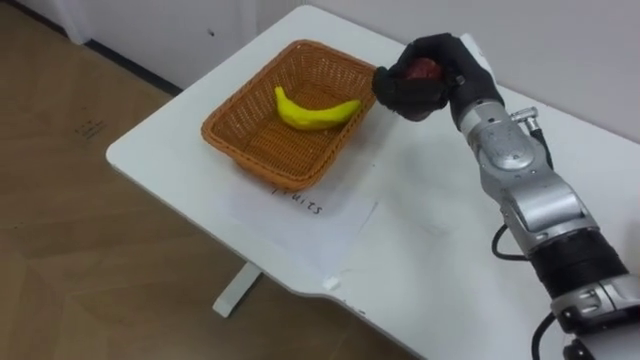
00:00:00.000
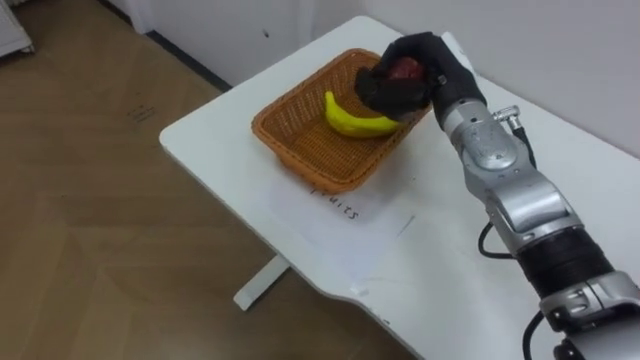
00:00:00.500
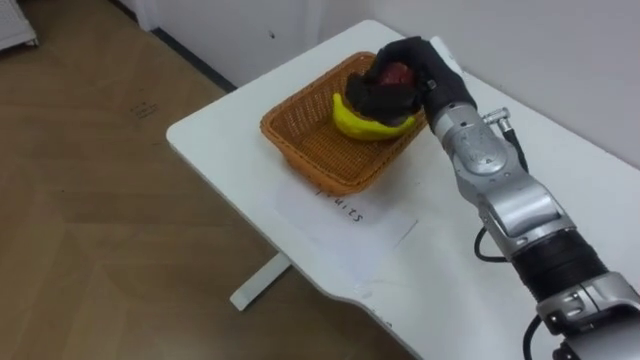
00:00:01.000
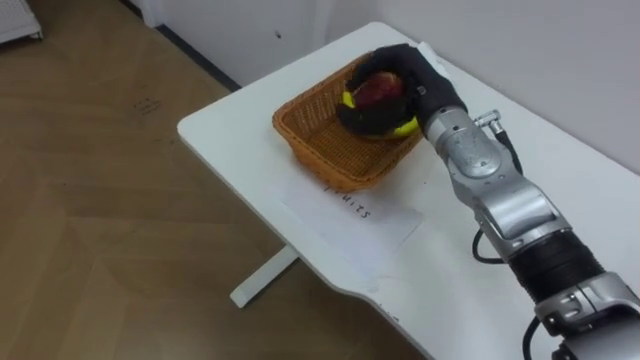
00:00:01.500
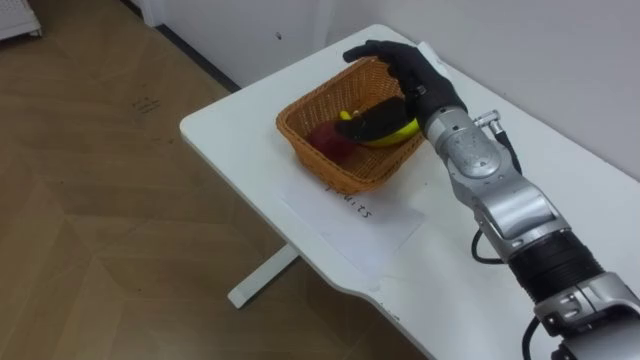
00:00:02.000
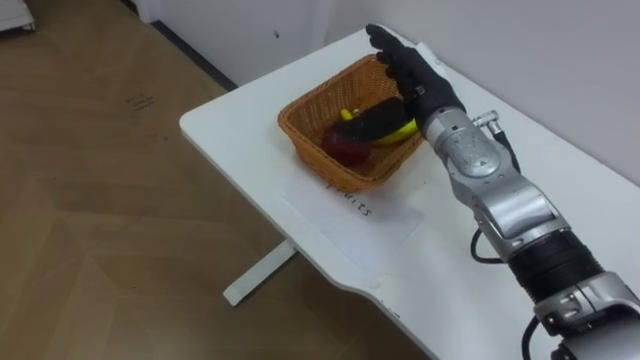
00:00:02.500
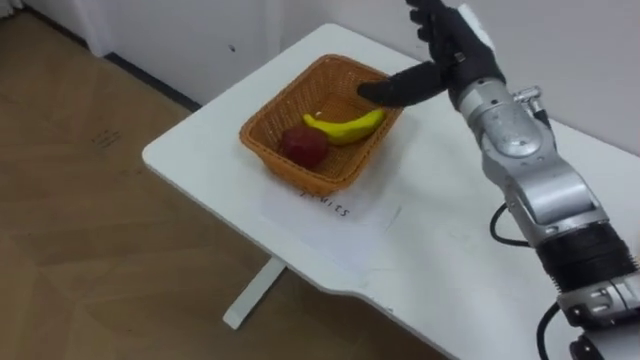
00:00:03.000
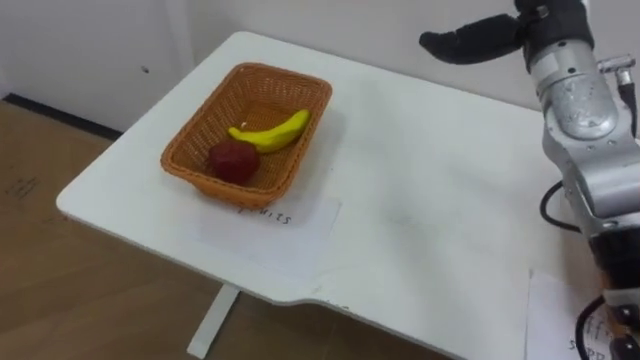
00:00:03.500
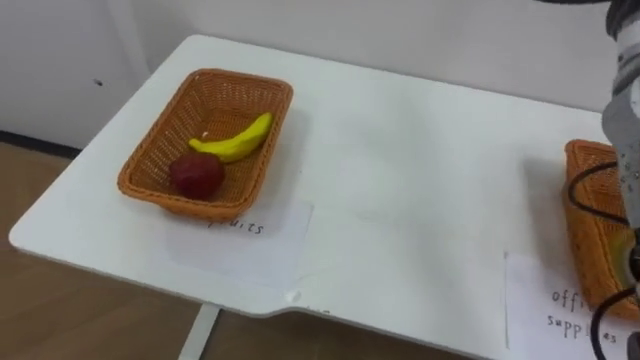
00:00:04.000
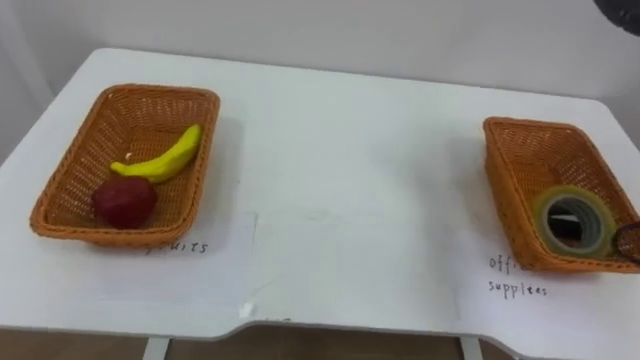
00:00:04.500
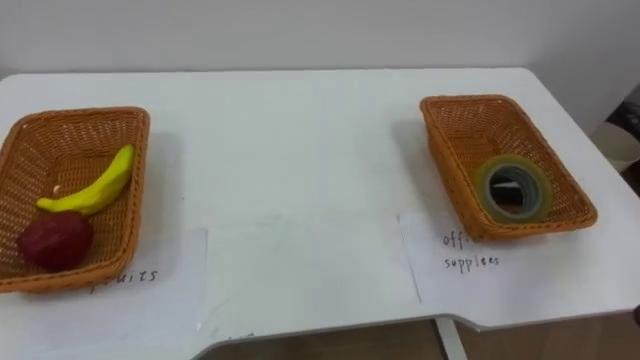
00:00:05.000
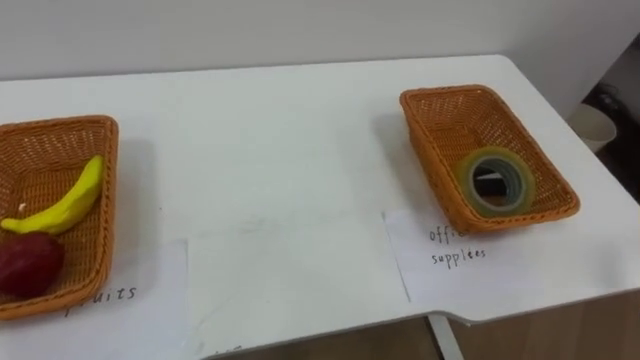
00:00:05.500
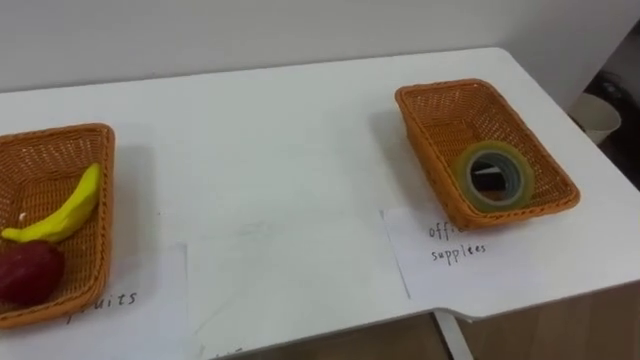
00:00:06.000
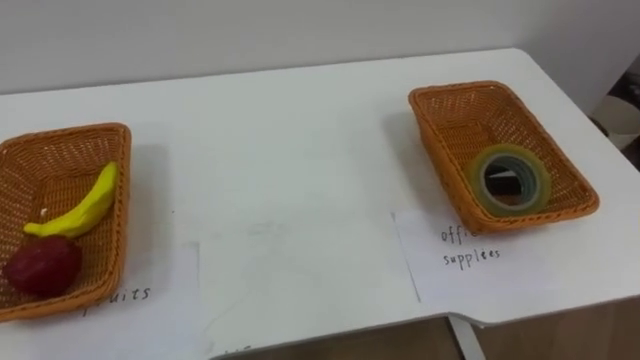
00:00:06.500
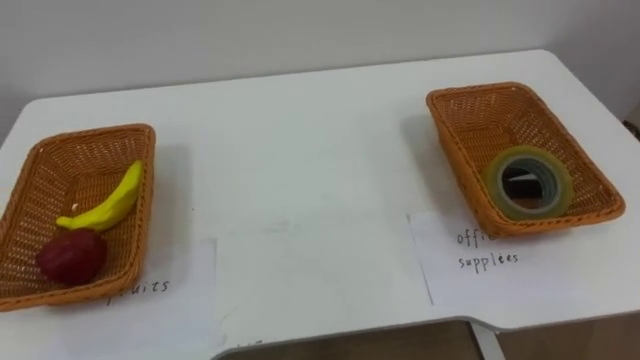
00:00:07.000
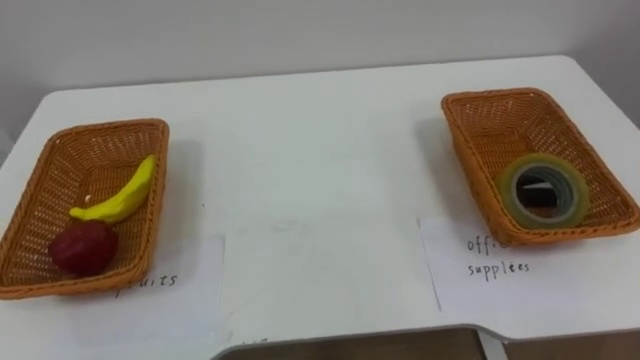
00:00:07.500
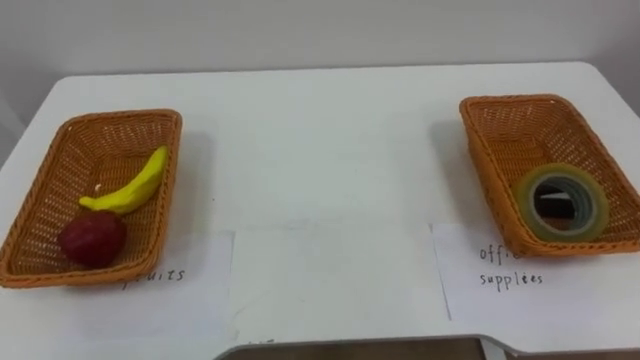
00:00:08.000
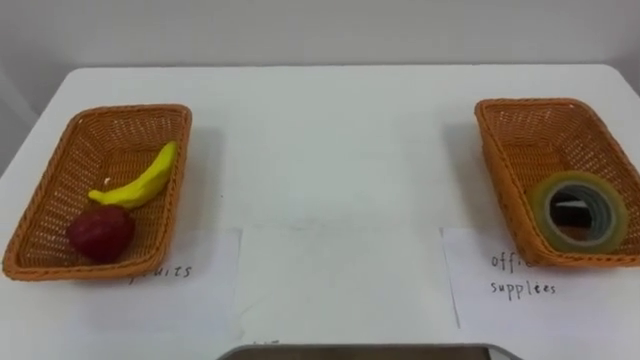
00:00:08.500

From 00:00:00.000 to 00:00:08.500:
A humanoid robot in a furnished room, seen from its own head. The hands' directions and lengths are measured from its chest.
Task of the whole recording: Separate the items on the table and place them into the two baskets.
From 00:00:00.000 to 00:00:02.000: The right hand opens.

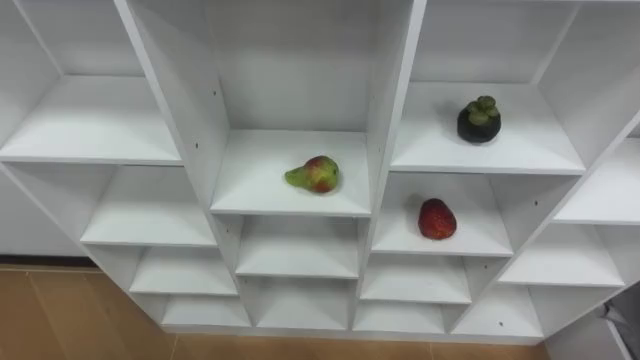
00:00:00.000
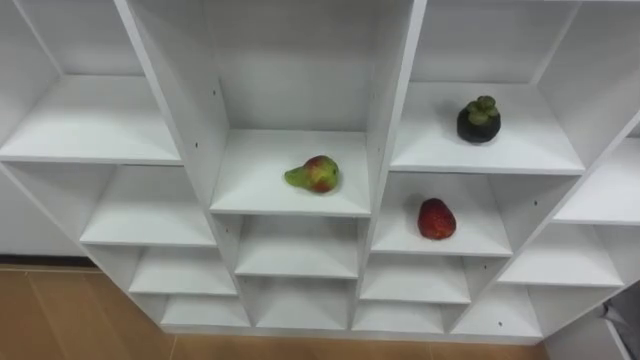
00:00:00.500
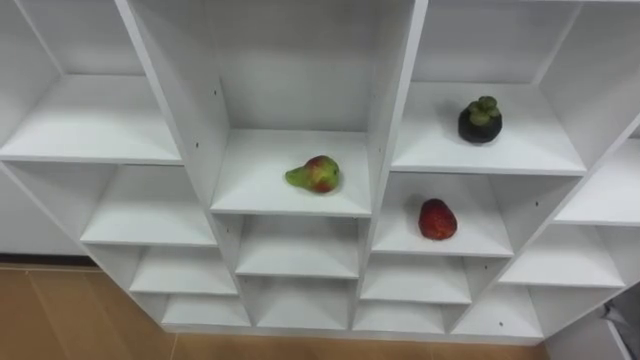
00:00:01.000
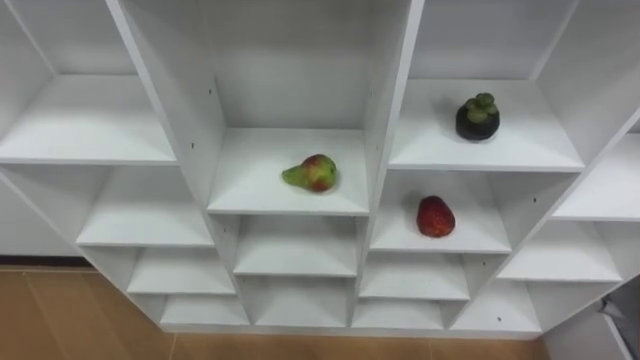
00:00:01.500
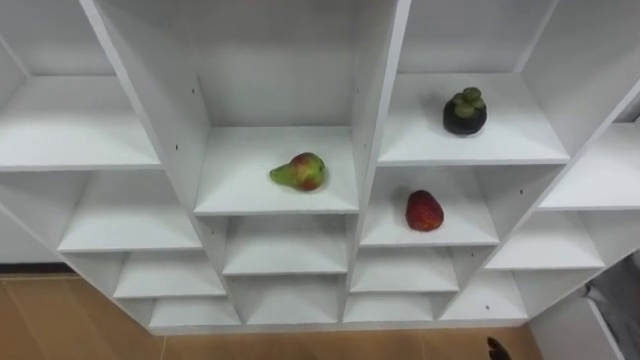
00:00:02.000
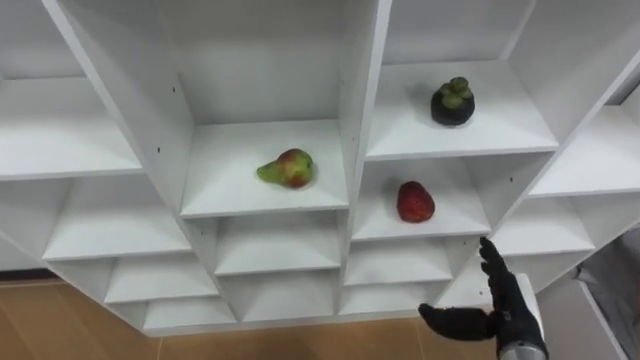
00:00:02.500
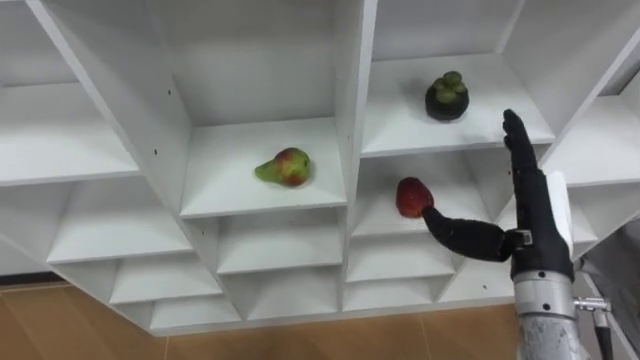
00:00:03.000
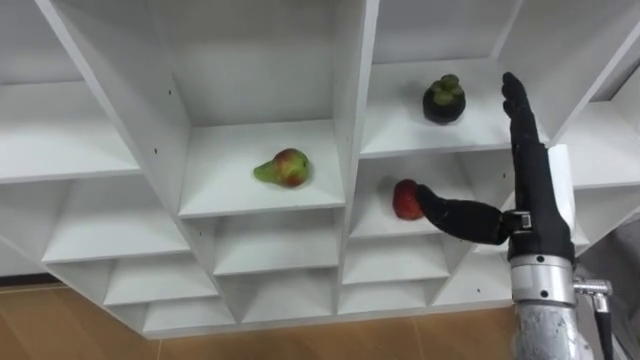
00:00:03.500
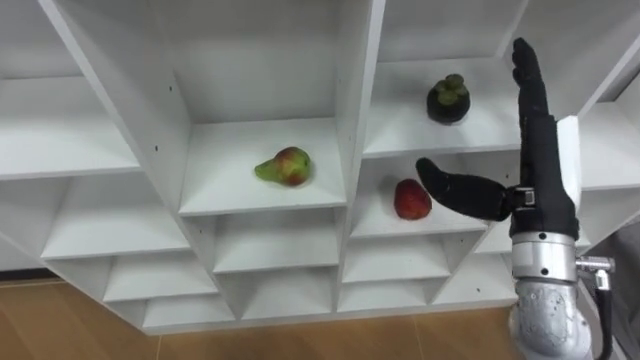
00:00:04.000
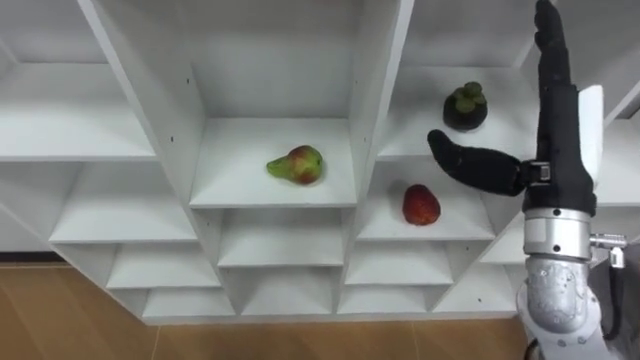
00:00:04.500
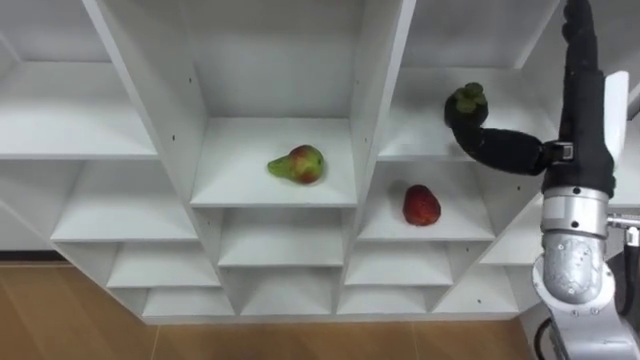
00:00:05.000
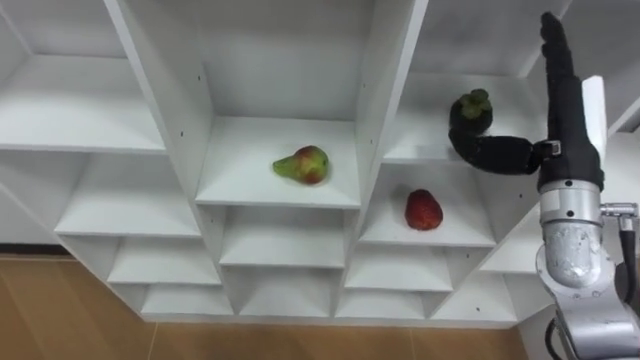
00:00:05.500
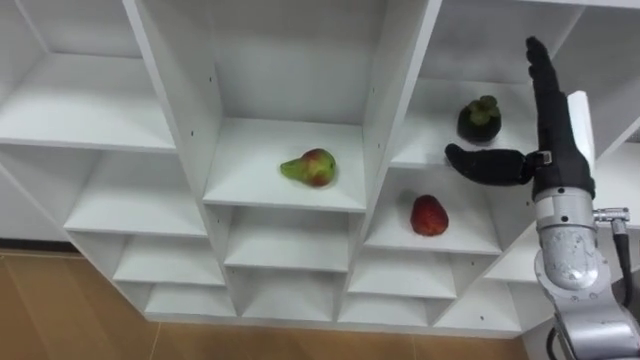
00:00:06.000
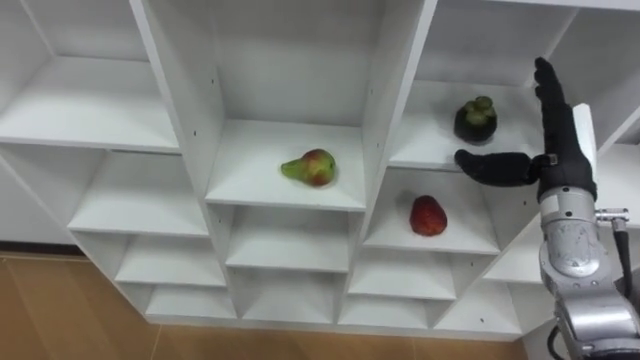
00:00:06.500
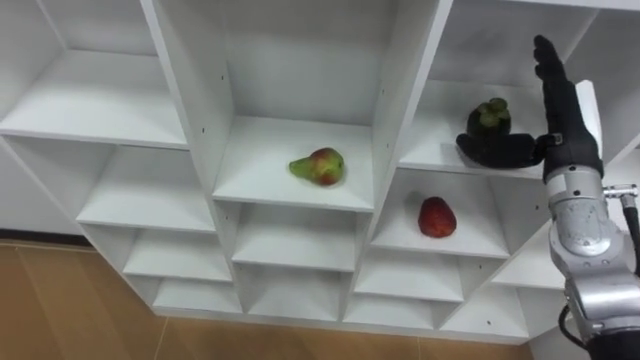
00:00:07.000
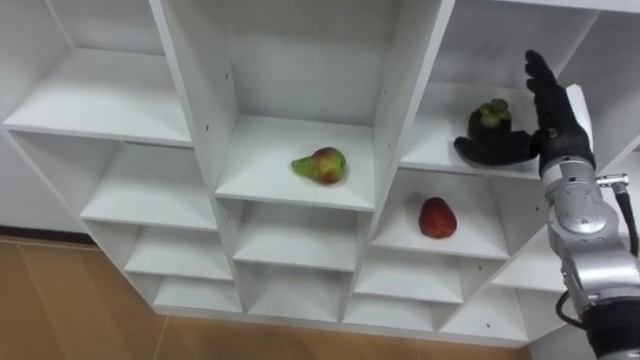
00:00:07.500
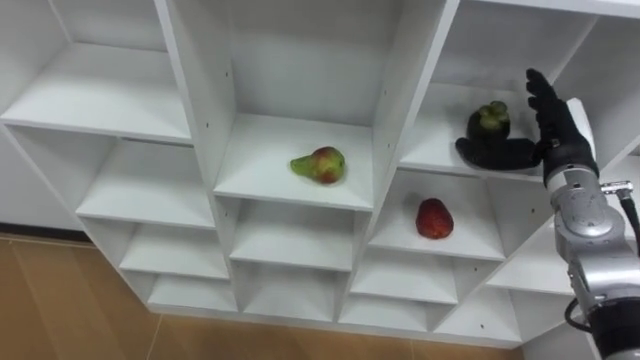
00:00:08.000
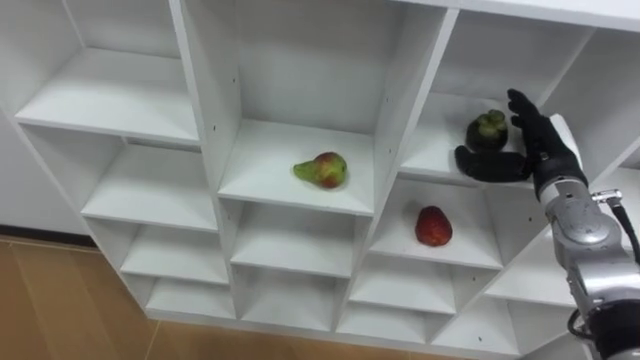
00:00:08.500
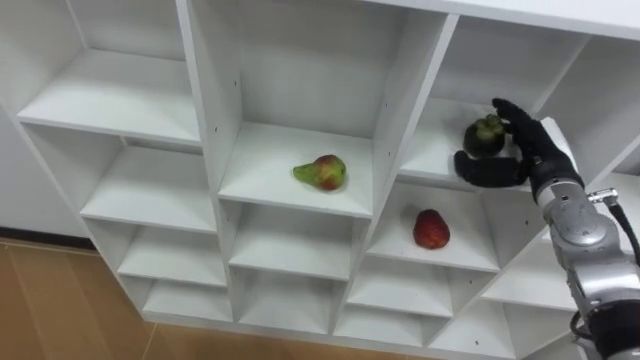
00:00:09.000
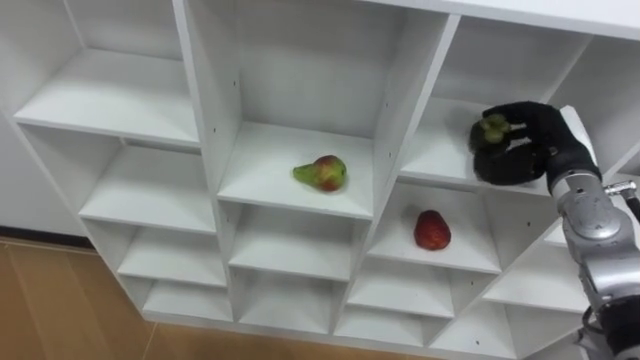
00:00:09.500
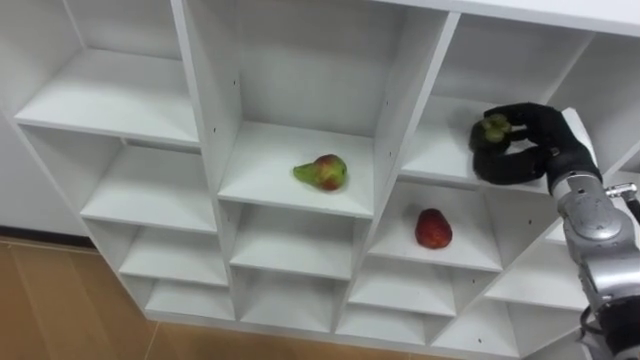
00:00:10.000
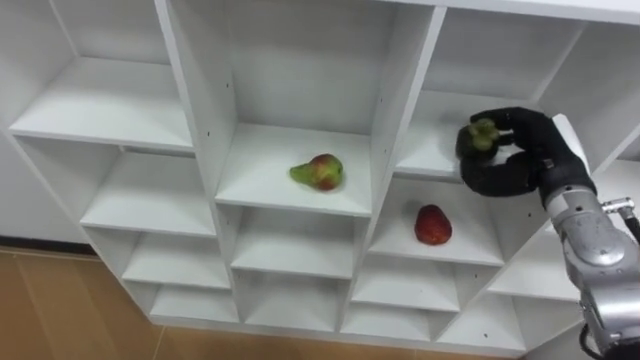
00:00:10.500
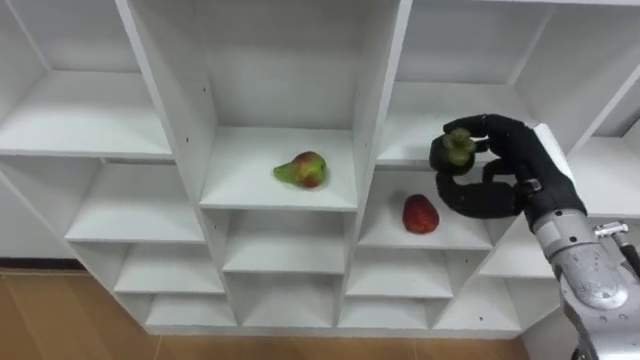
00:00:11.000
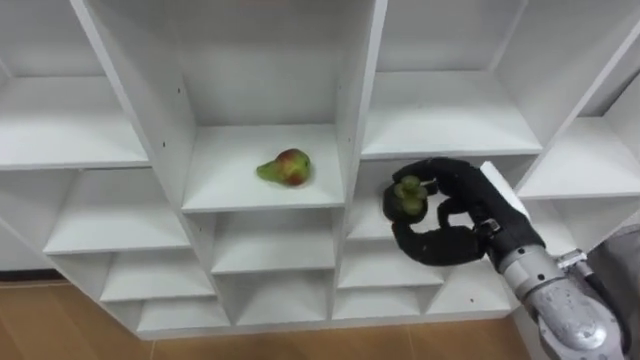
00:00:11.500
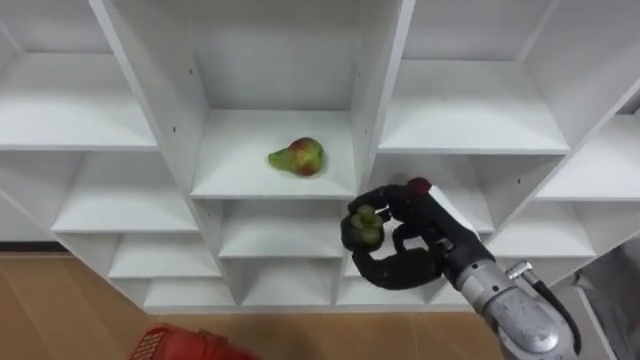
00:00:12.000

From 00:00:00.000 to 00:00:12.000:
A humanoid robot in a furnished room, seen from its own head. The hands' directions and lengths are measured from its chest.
Task of the whole recording: Hold the basket and collect the fruits from 3 different cells of the closet into it.
From 00:00:04.000 to 00:00:06.000: The right hand moves forward, about 5 cm.
From 00:00:06.000 to 00:00:08.000: The right hand moves some 10 cm.
From 00:00:08.000 to 00:00:10.000: The right hand closes its fingers.
From 00:00:10.000 to 00:00:12.000: The right hand goes some 20 cm to the left and backward.
